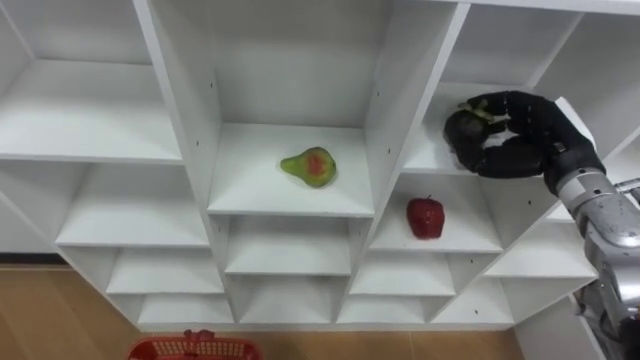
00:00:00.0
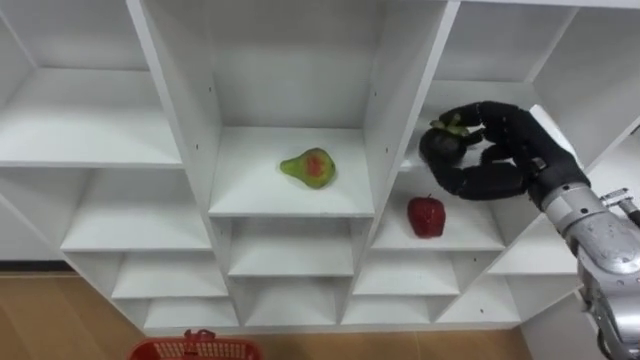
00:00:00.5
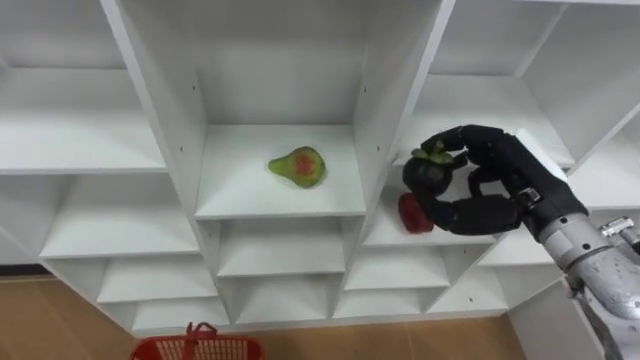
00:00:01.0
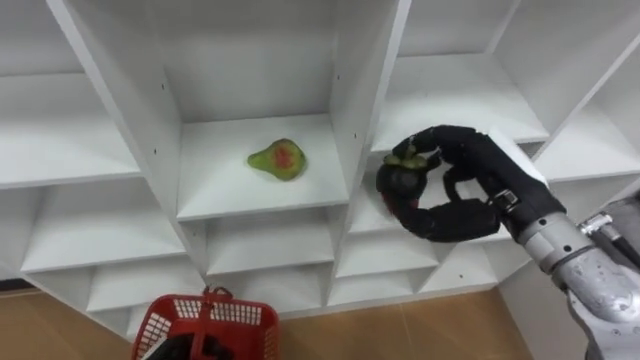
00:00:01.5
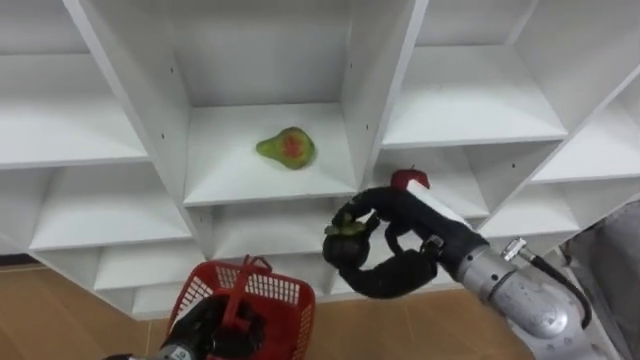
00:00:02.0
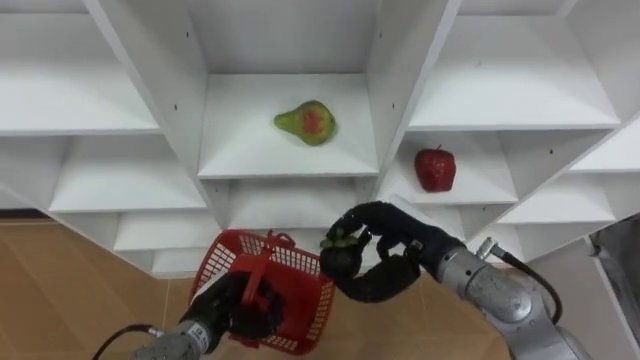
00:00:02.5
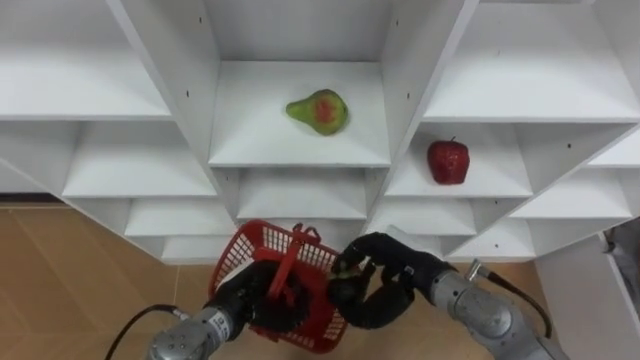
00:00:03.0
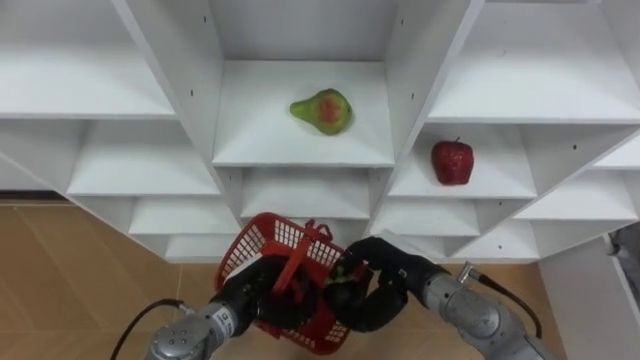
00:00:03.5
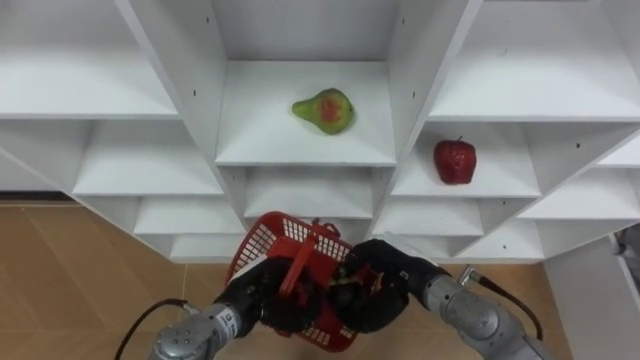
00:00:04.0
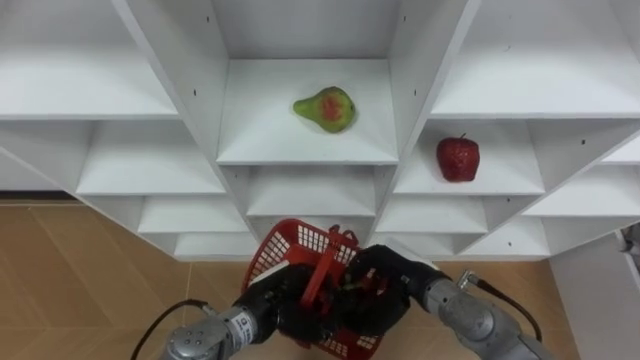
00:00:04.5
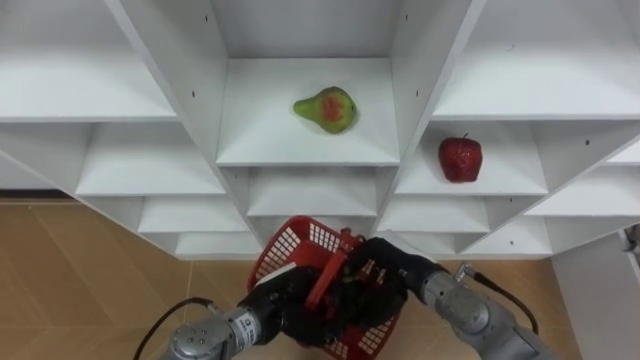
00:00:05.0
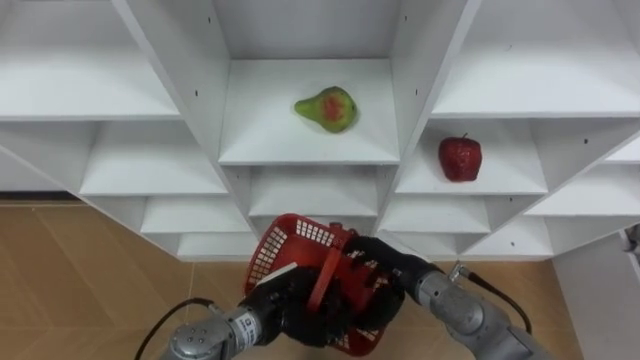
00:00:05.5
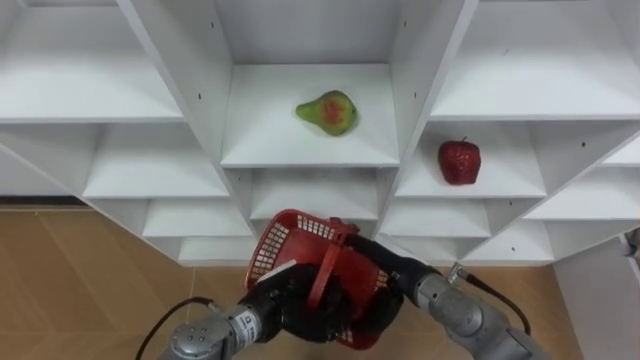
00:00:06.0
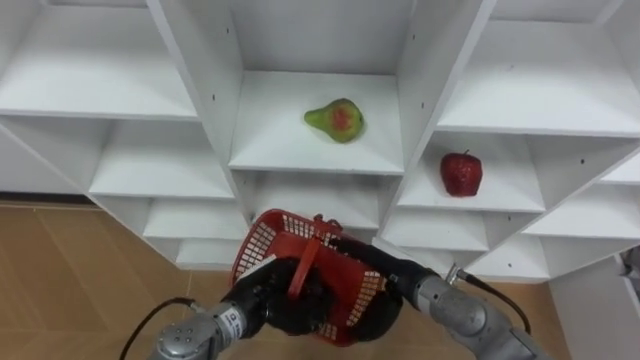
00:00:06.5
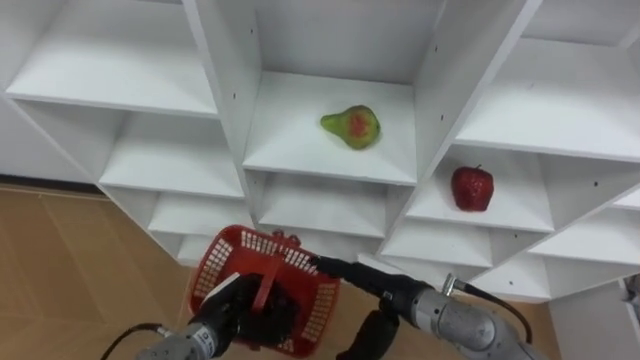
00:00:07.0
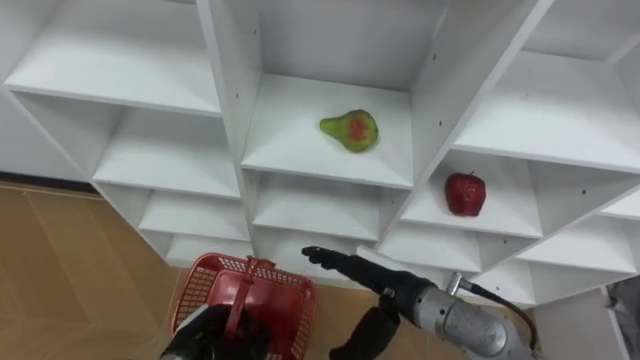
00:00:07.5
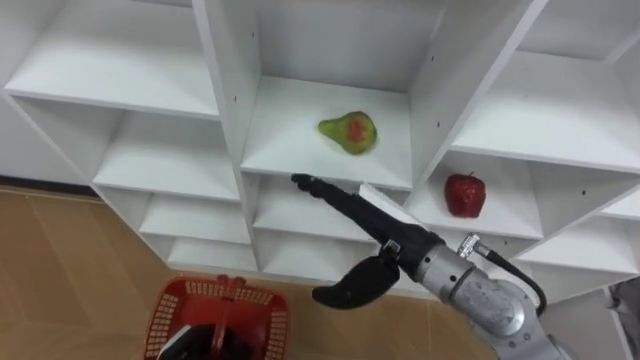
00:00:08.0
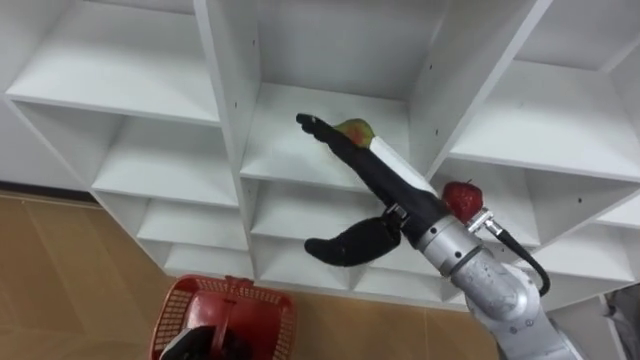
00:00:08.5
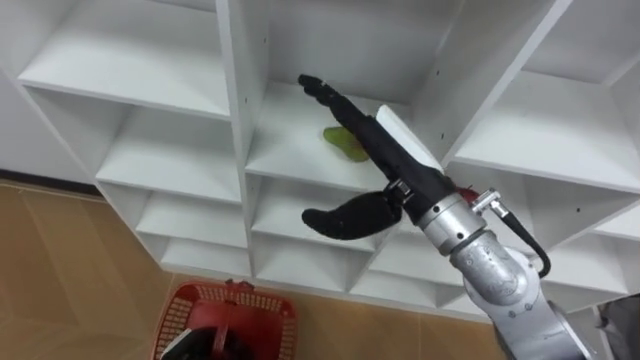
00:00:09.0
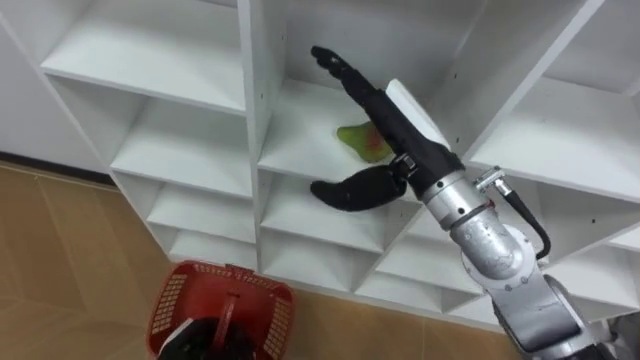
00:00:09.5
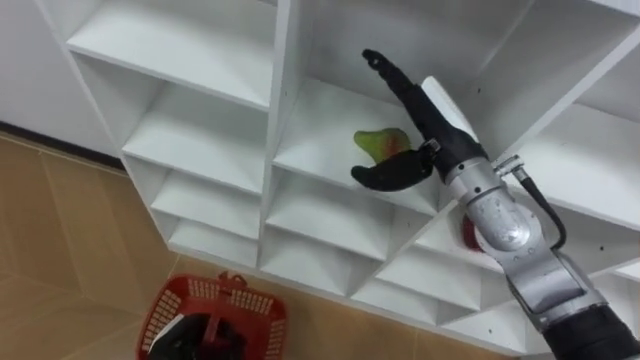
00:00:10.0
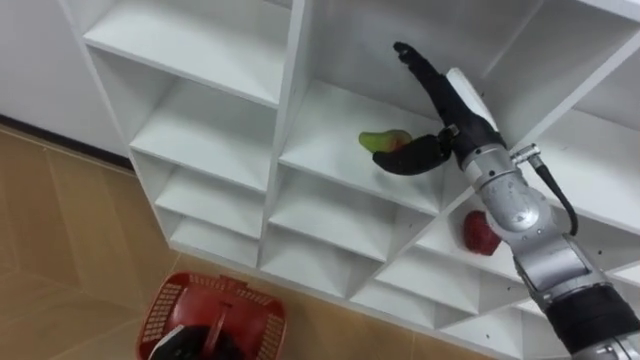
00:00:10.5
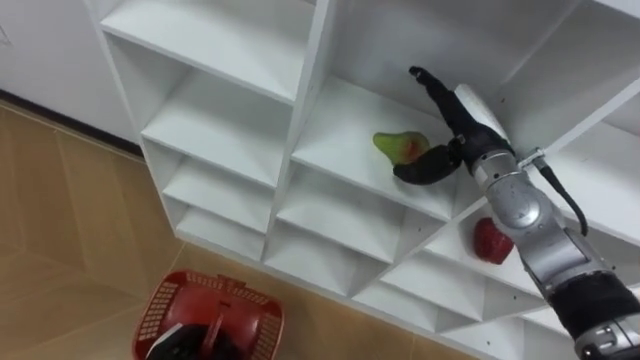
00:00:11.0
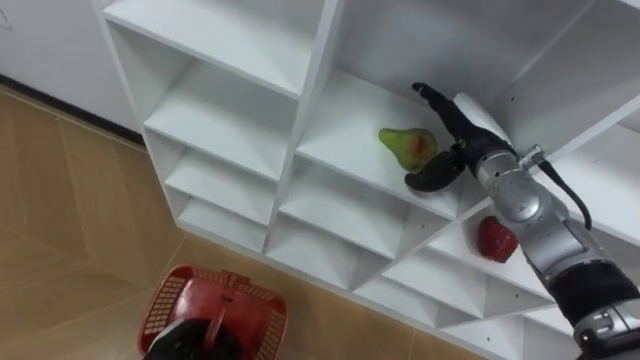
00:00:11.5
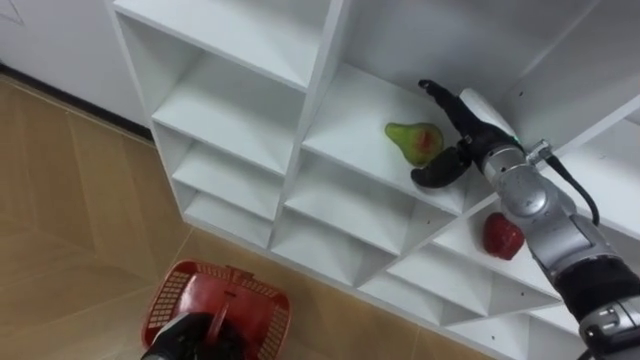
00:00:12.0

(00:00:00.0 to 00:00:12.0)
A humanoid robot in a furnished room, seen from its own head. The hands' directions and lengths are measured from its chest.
Task of the whole recording: Hold the basket and collect the fruits from 3 different cells of the closet into it.
00:00:00.0 - 00:00:02.0: The right hand goes some 15 cm to the left and backward.
00:00:02.0 - 00:00:04.0: The left hand goes some 10 cm to the right and upward. Meanwhile the right hand goes approximately 10 cm downward.
00:00:04.0 - 00:00:06.0: The right hand opens.
00:00:06.0 - 00:00:08.0: The right hand shifts approximately 15 cm upward. The left hand shifts about 15 cm to the left, downward and backward.
00:00:08.0 - 00:00:10.0: The right hand shifts approximately 10 cm forward, upward and to the right.
00:00:10.0 - 00:00:12.0: The right hand shifts some 10 cm to the right and downward.

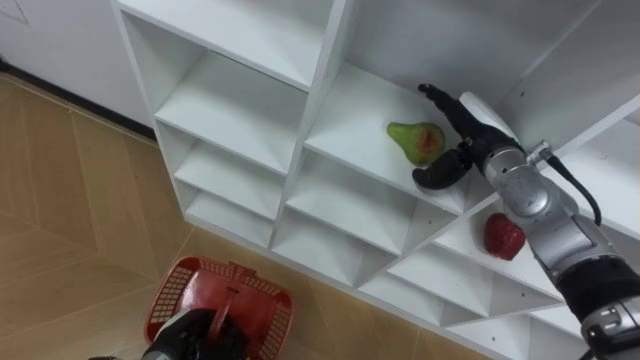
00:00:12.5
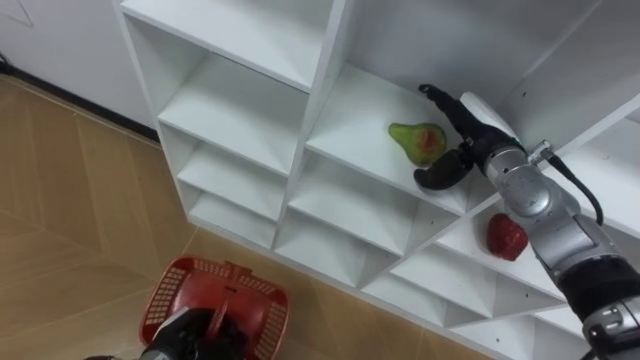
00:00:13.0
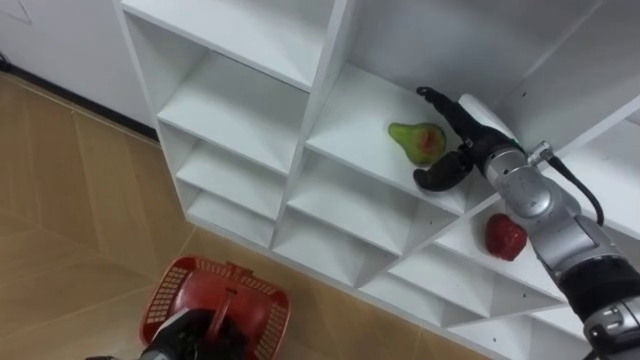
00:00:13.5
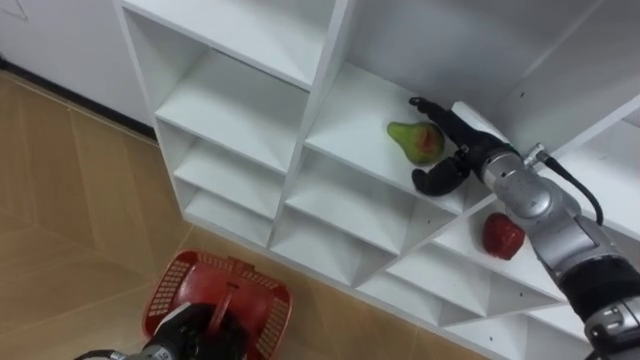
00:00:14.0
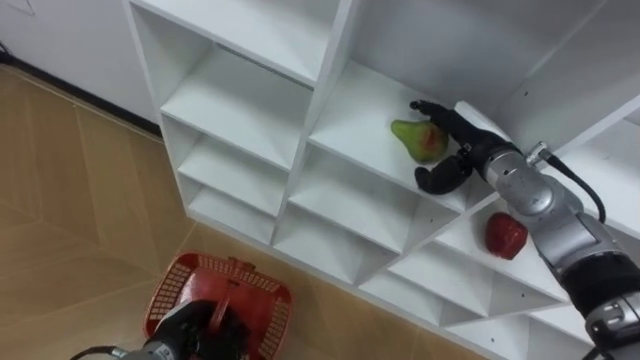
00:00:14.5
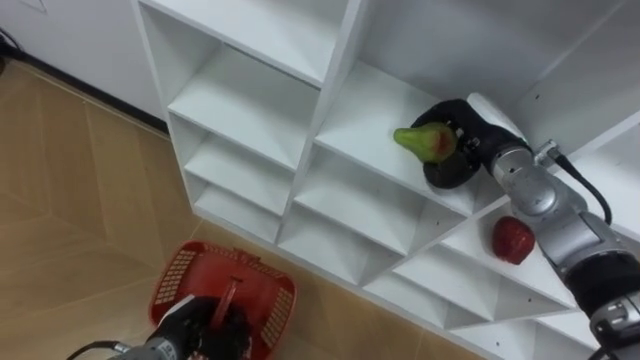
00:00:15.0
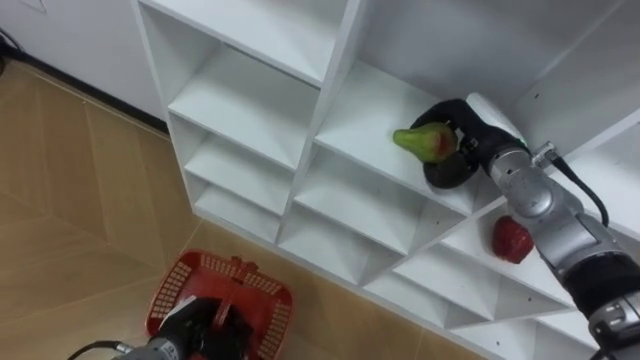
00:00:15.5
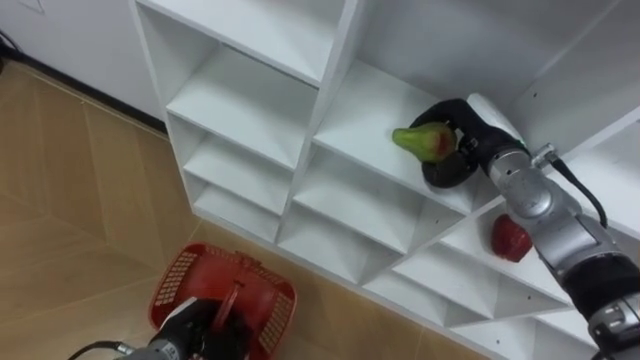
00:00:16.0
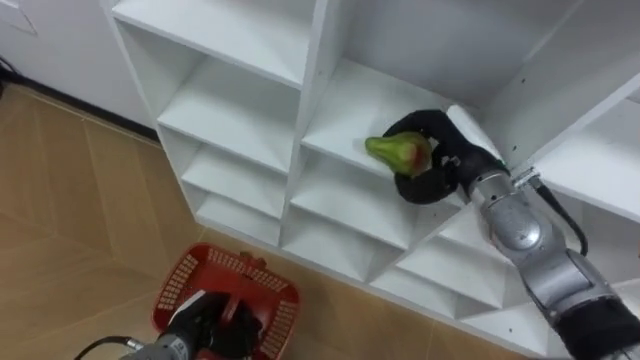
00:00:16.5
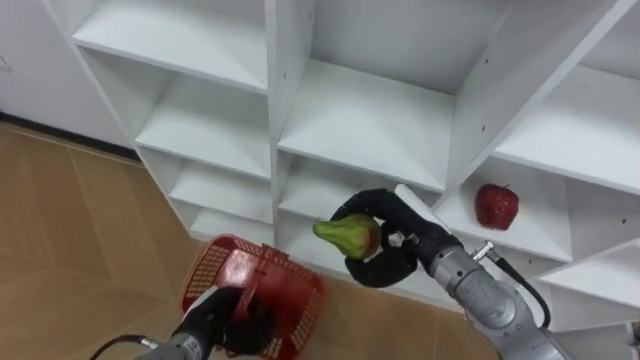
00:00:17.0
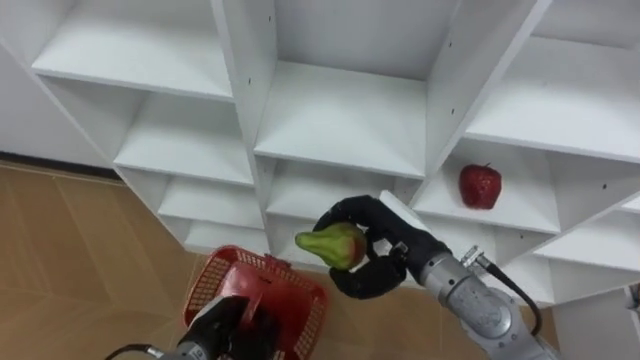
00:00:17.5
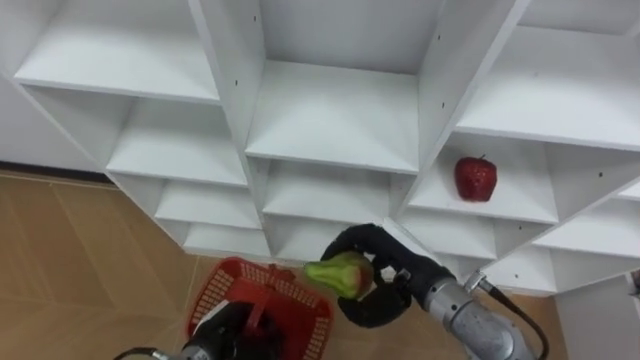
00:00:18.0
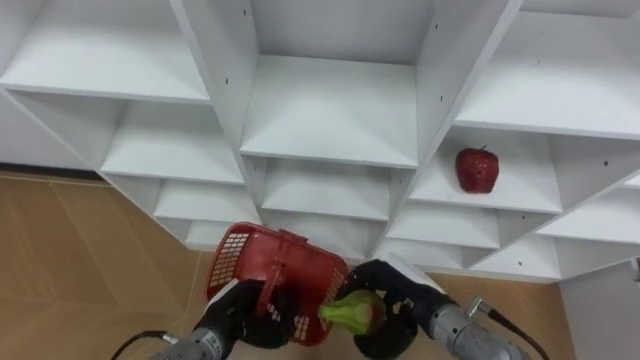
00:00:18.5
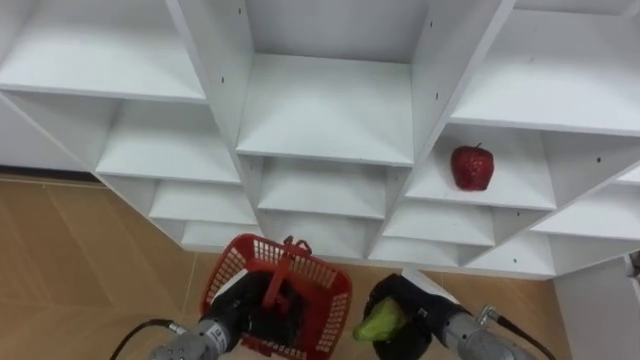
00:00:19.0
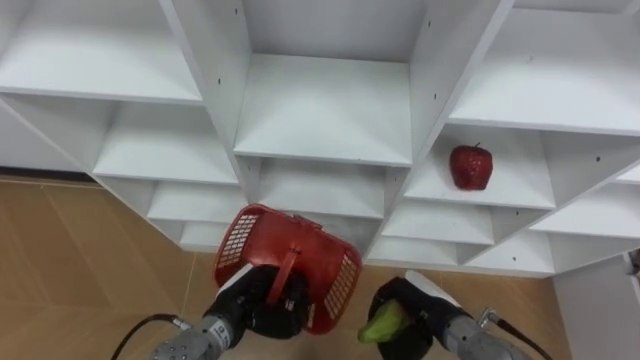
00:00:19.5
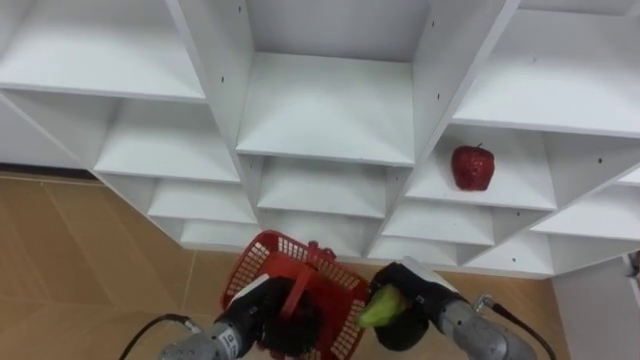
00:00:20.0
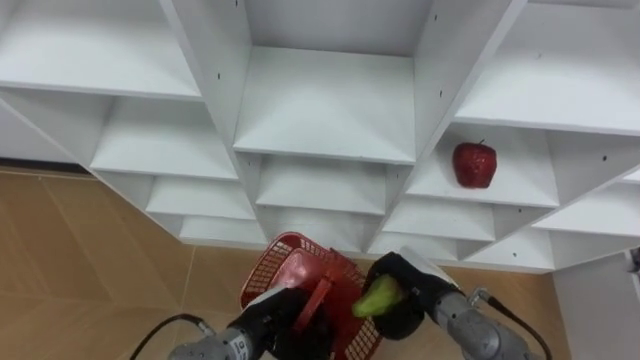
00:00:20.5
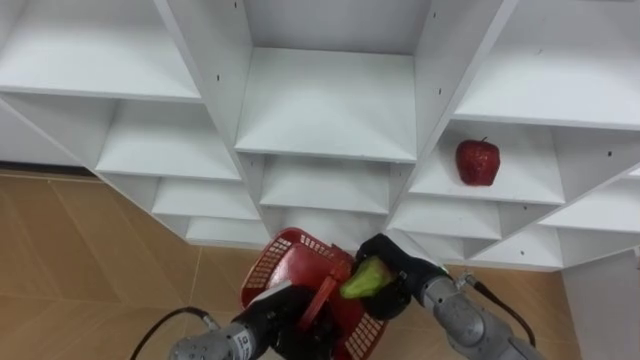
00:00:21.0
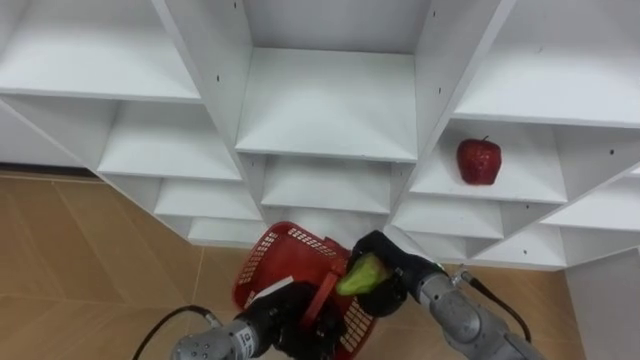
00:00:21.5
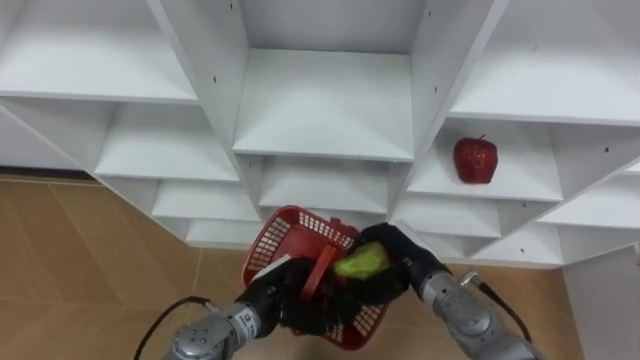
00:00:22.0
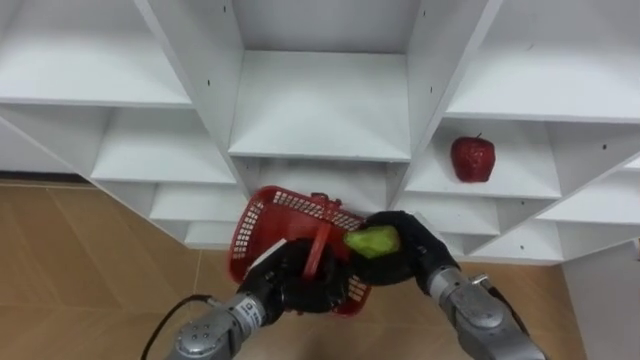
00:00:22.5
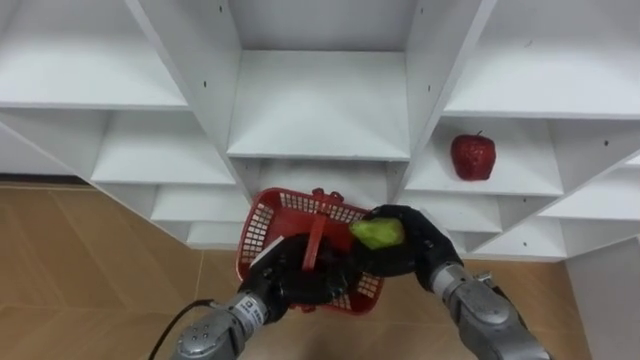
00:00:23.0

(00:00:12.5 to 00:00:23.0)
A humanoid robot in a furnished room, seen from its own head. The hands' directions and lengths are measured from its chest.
Task of the whole recording: Hold the basket and collect the fruits from 3 different cells of the closet into it.
00:00:12.5 - 00:00:14.5: The hands move only a little.
00:00:14.5 - 00:00:16.5: The right hand closes up.
00:00:16.5 - 00:00:19.0: The right hand is displaced downward and backward by roughly 20 cm; the left hand travels to the right by roughly 5 cm.
00:00:19.0 - 00:00:21.0: The right hand moves about 5 cm, while the left hand moves to the right, some 5 cm.
00:00:21.0 - 00:00:23.0: The left hand shifts by some 5 cm.
